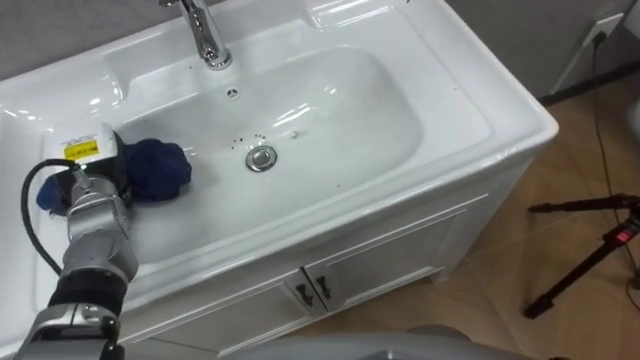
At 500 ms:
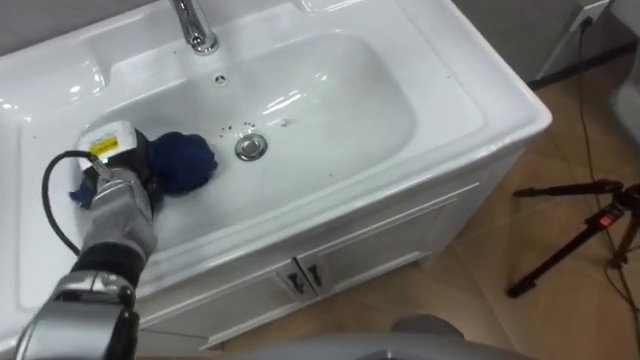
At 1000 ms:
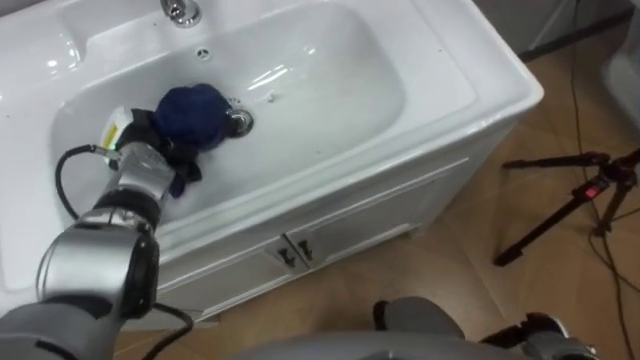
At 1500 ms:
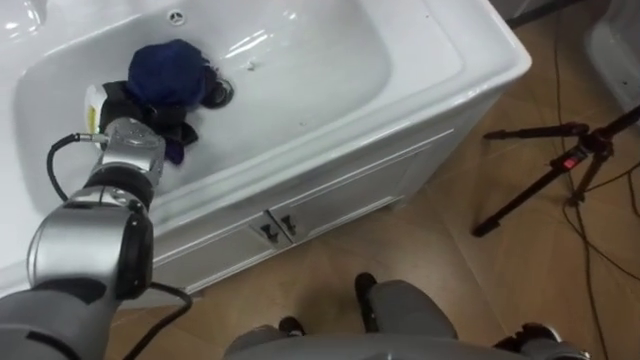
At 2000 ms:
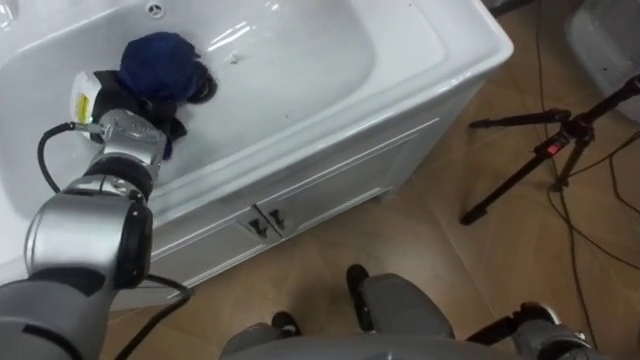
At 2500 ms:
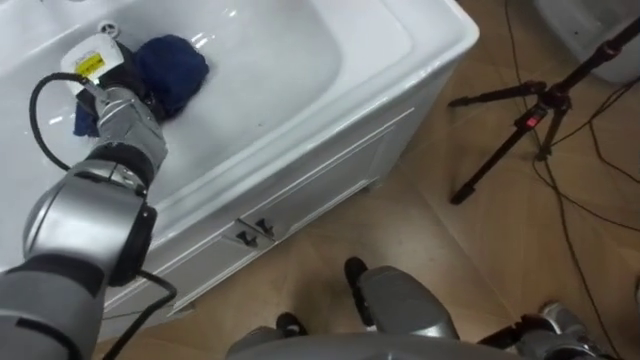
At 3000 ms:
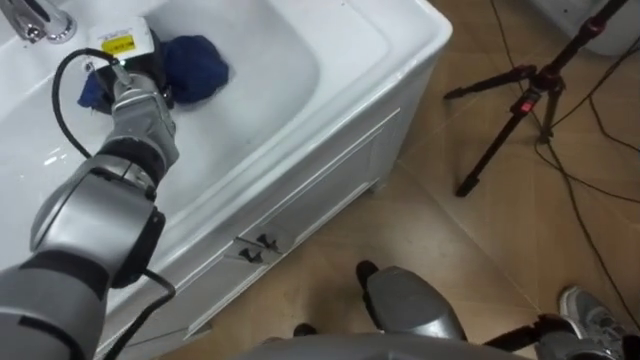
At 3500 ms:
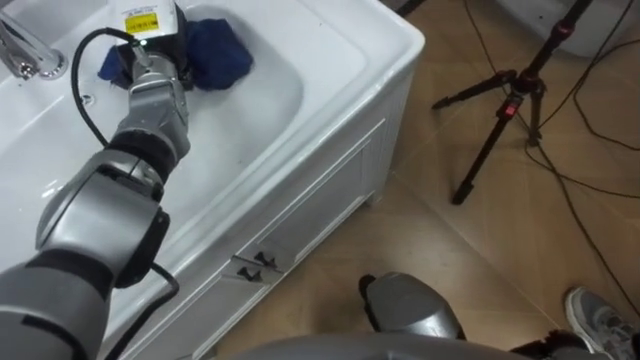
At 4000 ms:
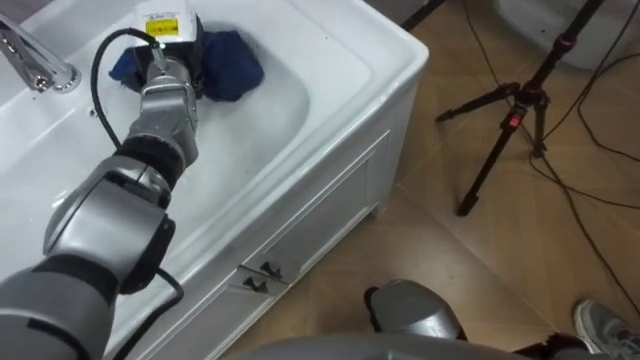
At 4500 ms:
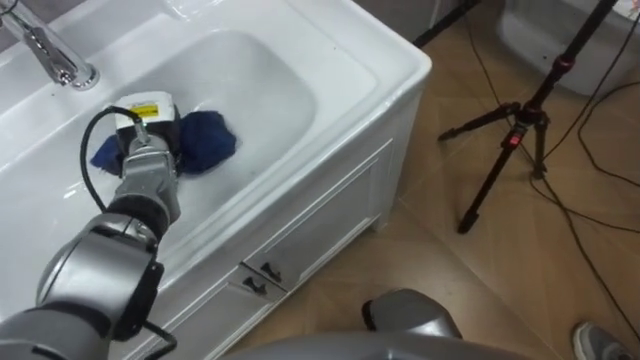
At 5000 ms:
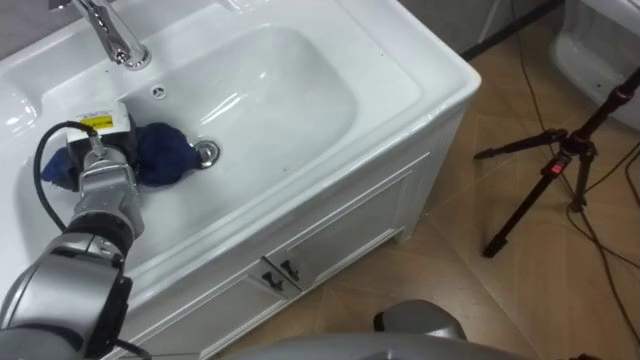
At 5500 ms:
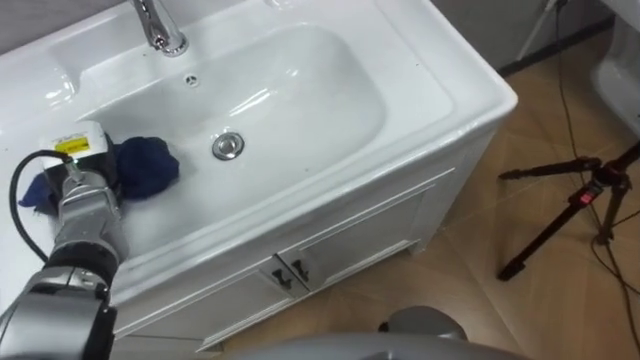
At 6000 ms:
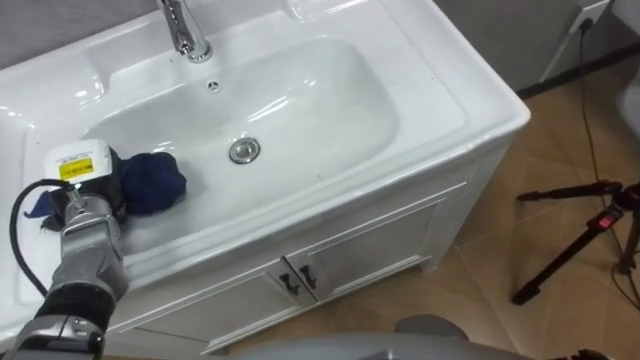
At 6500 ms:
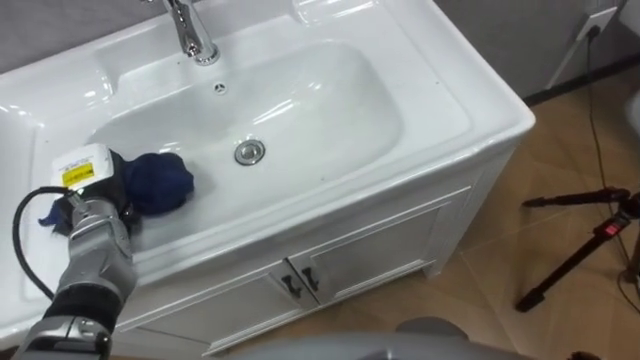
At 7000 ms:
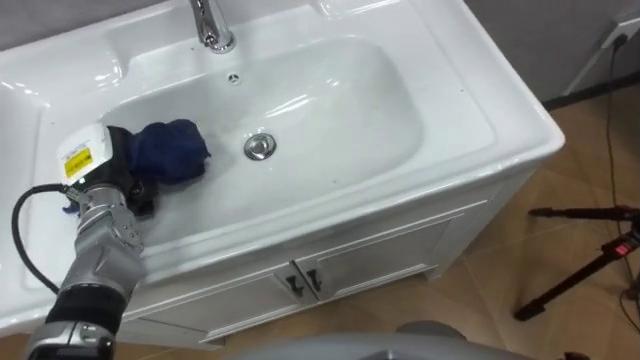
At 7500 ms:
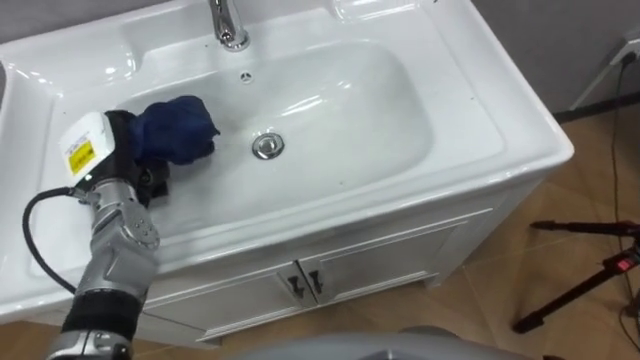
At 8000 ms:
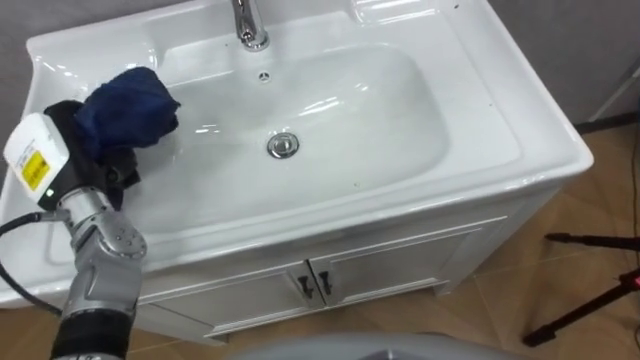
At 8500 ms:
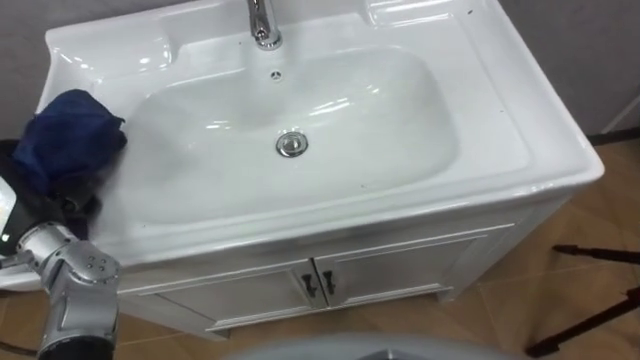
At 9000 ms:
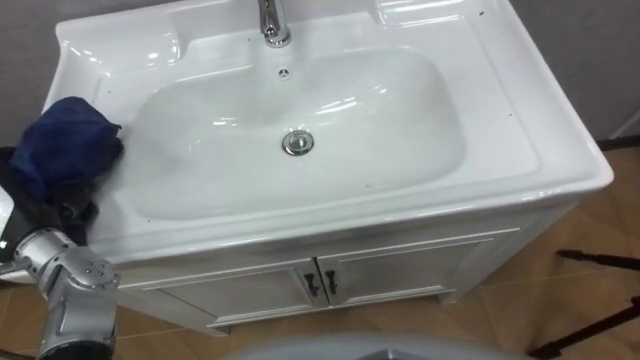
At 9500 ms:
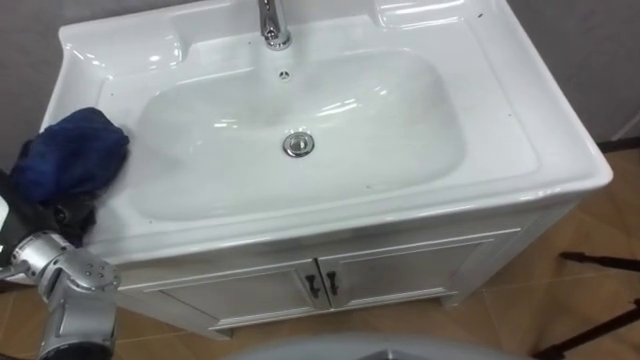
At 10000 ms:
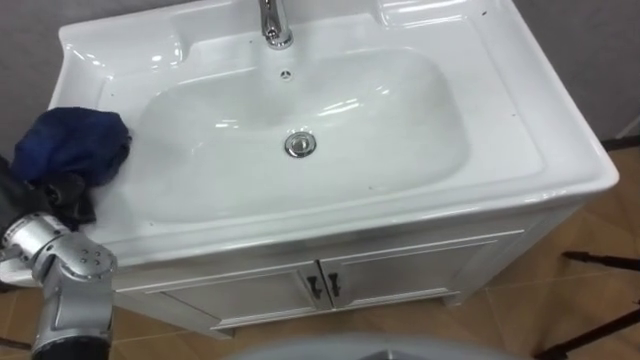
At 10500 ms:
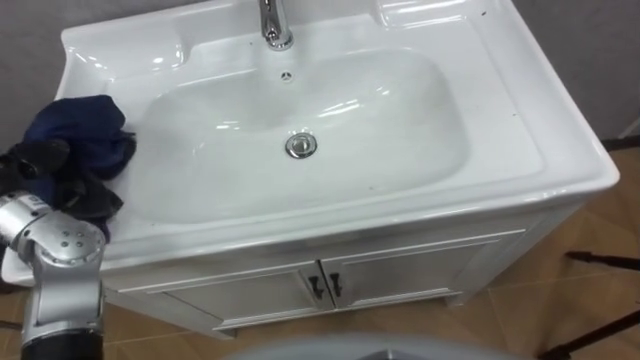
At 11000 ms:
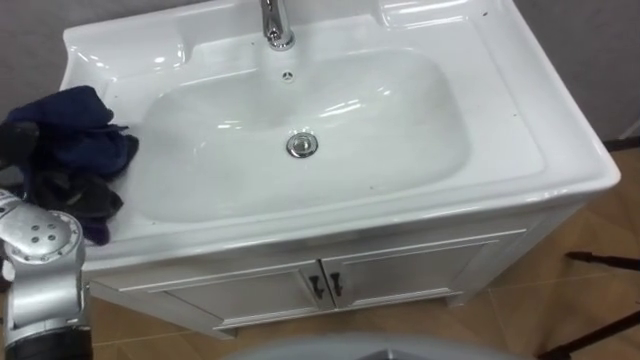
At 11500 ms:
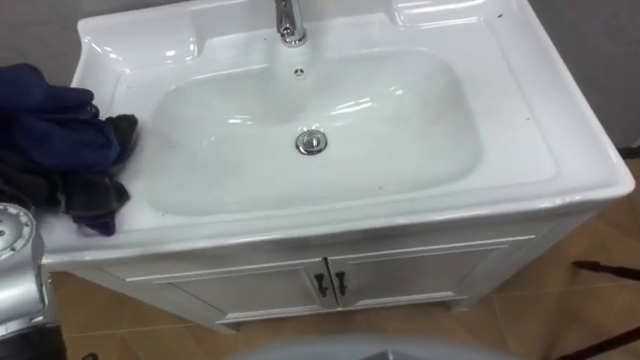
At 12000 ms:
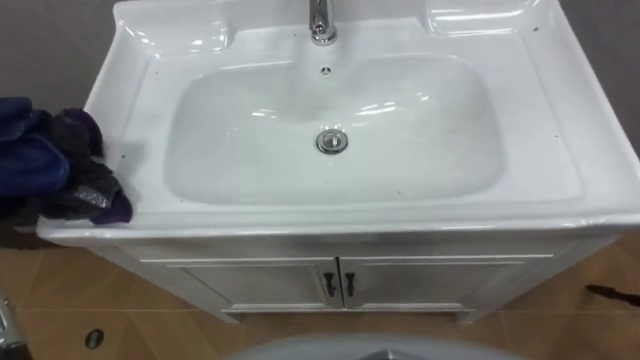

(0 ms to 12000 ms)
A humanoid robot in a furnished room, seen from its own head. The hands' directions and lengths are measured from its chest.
Task of the whole recording: Use the cloth on the right to wipe away the black stain in the sink.
0 ms - 2000 ms: The left hand goes roughly 5 cm forward.
2000 ms - 4000 ms: The left hand shifts approximately 15 cm to the right, upward and forward.
4000 ms - 6000 ms: The left hand goes roughly 25 cm backward, to the left and downward.
6000 ms - 8000 ms: The left hand is displaced upward by about 5 cm.

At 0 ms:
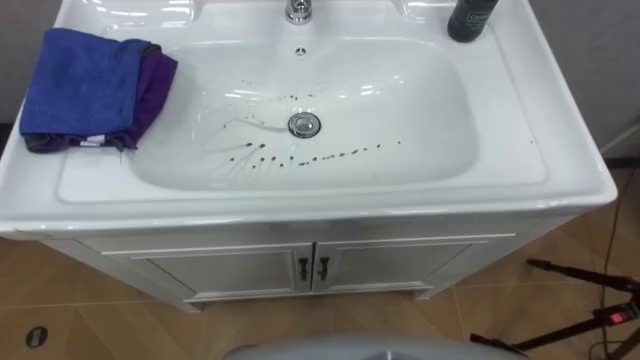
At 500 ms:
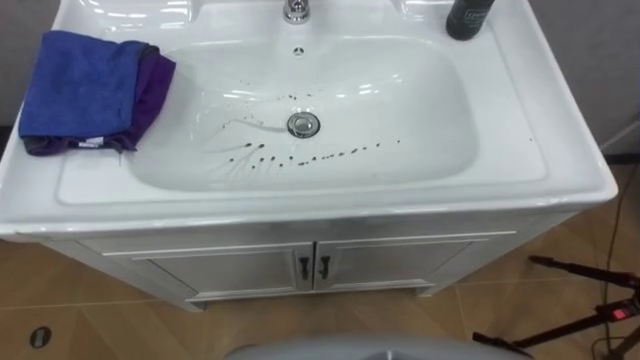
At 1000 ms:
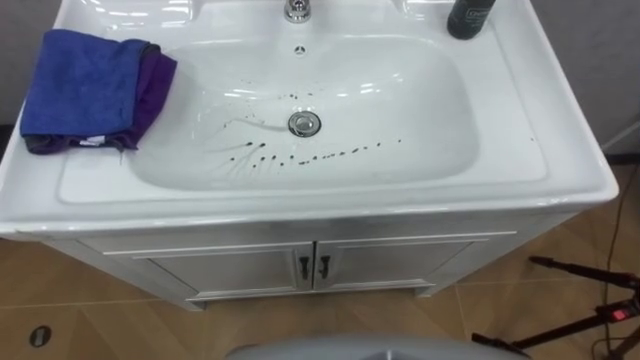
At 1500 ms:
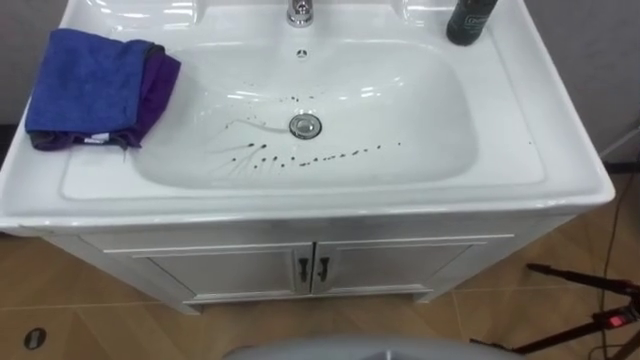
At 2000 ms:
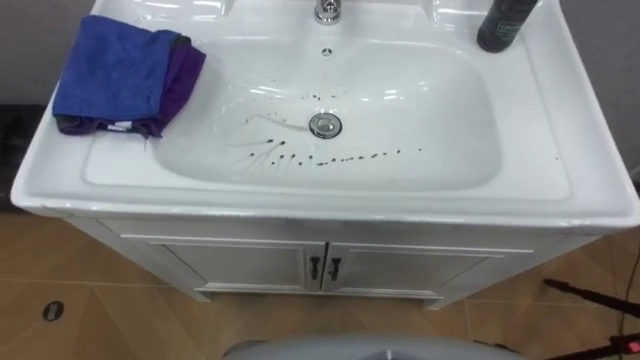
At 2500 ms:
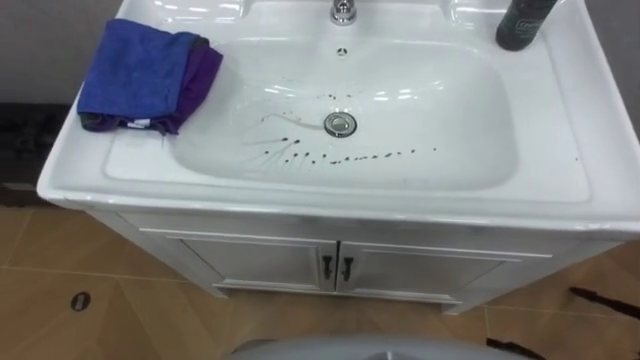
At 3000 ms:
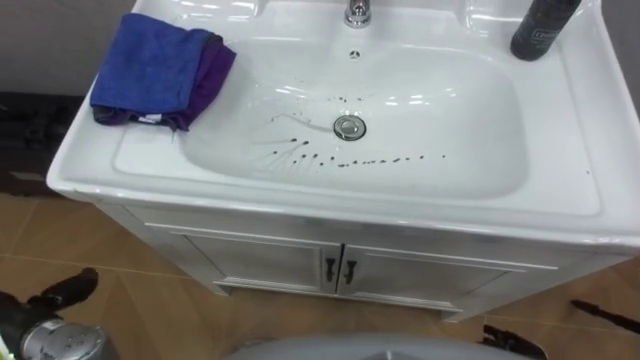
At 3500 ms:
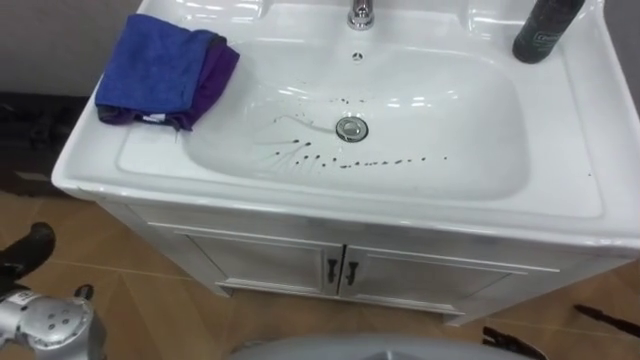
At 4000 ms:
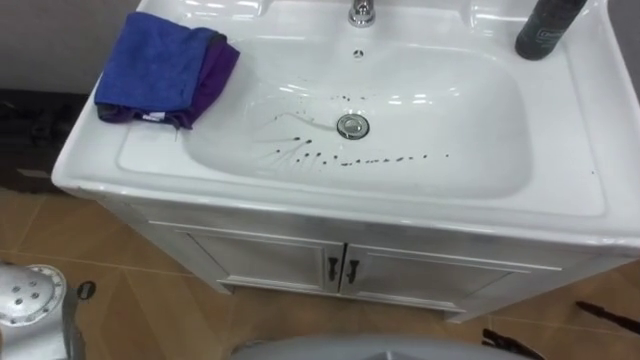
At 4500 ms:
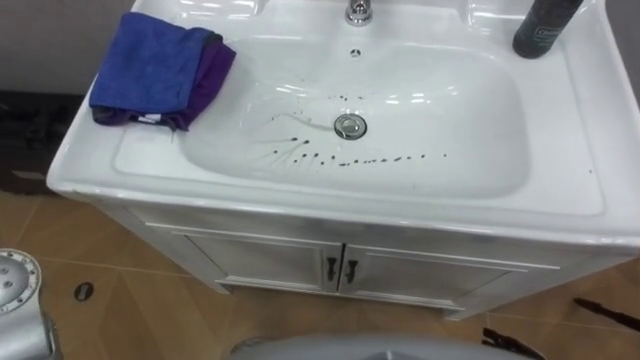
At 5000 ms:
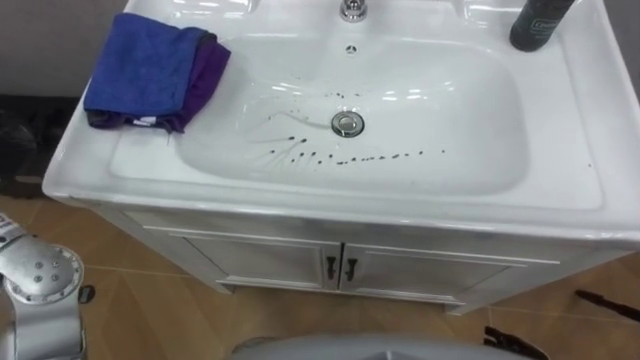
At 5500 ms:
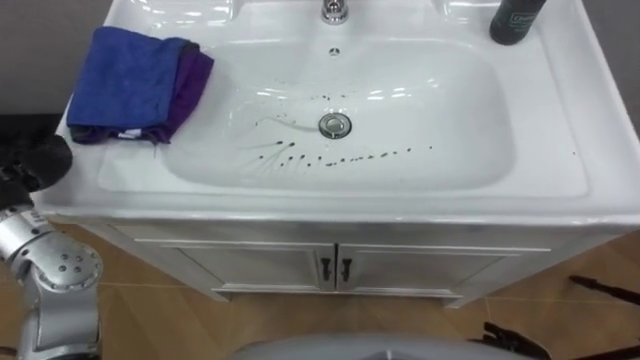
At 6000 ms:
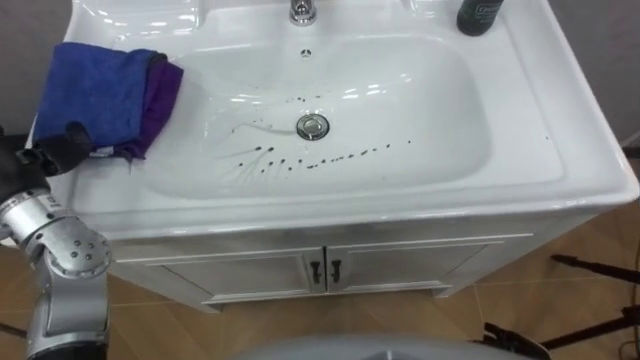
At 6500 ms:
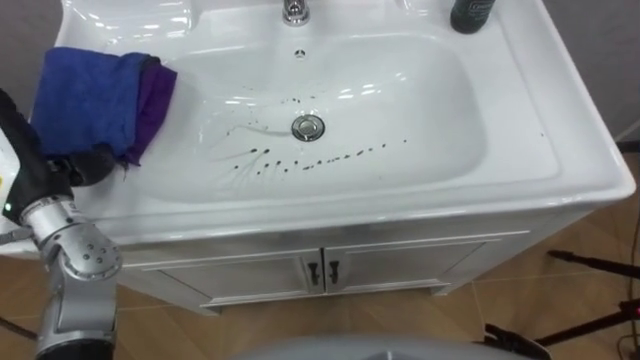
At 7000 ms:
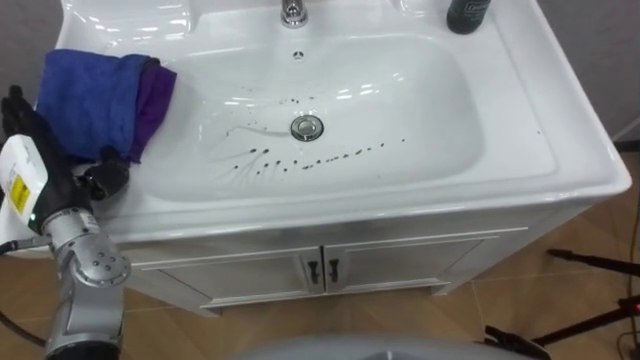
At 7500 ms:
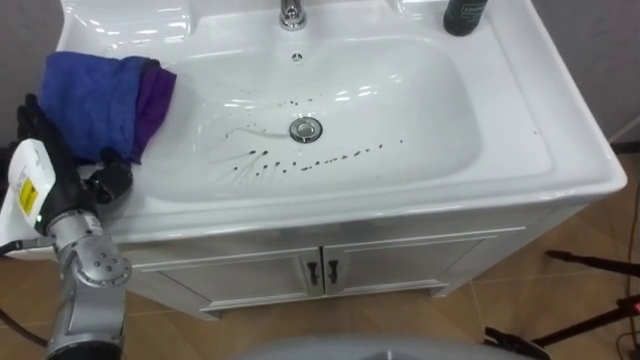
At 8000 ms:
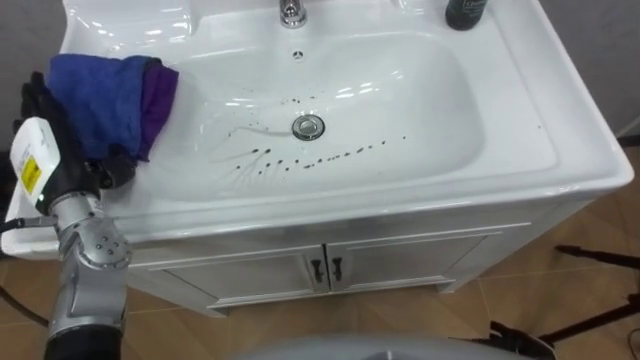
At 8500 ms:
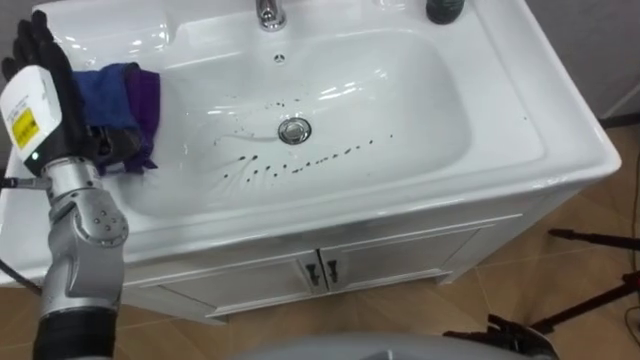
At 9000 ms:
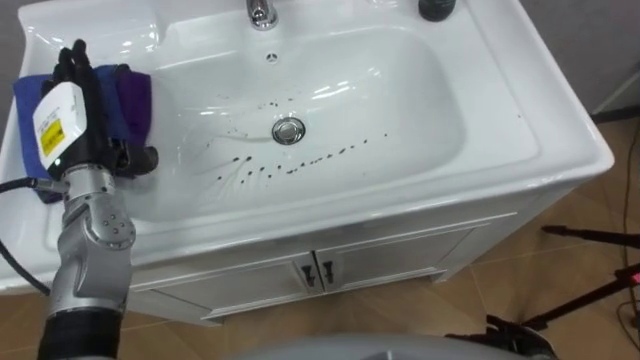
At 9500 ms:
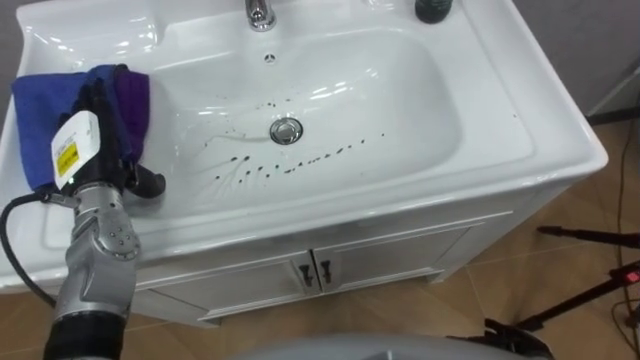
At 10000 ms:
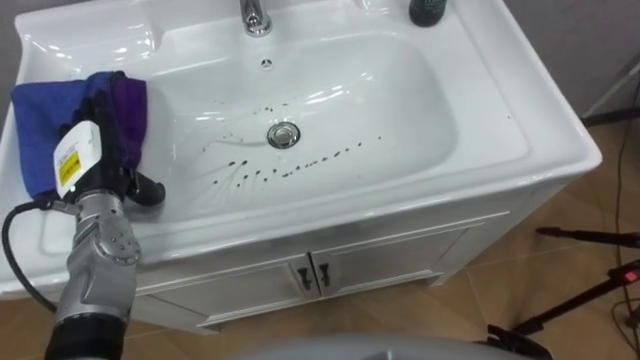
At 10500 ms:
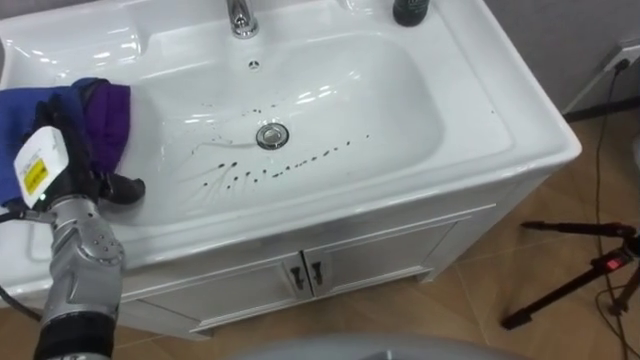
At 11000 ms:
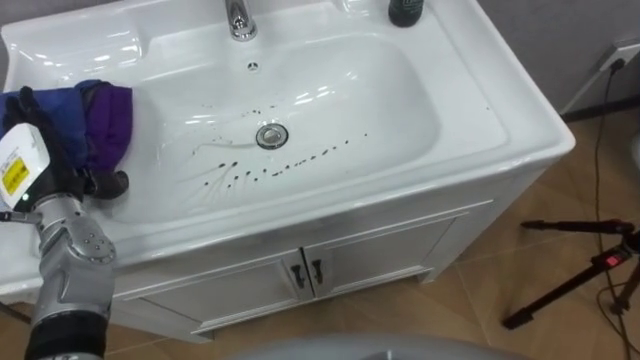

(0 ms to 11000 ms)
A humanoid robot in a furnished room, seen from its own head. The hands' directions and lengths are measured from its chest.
Task of the whole recording: Use the cloth on the right to wipe away the black stain in the sink.
7500 ms - 9000 ms: The left hand travels forward by roughly 5 cm.
9000 ms - 11000 ms: The left hand travels to the left by about 5 cm.
